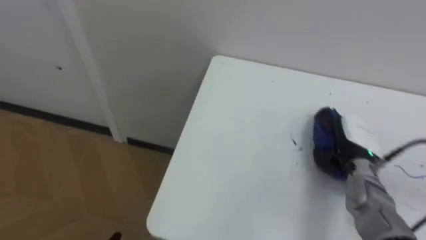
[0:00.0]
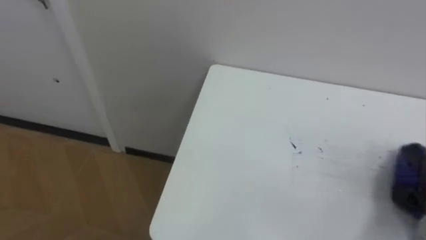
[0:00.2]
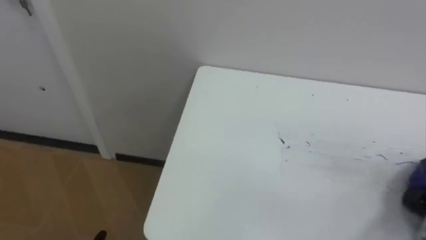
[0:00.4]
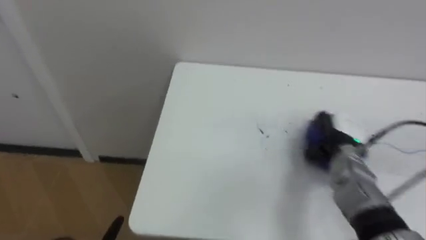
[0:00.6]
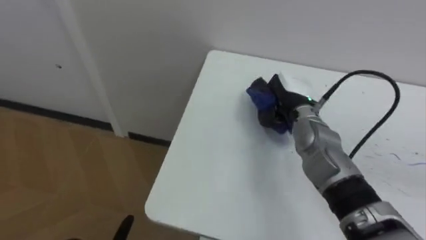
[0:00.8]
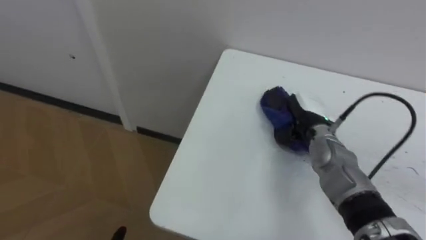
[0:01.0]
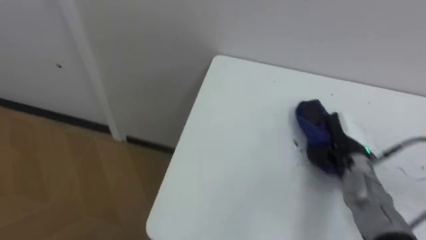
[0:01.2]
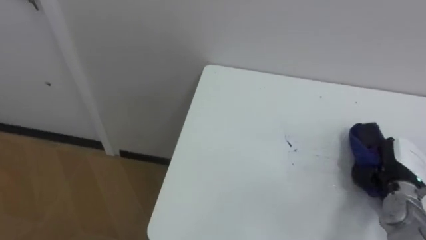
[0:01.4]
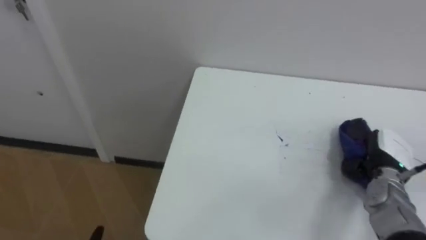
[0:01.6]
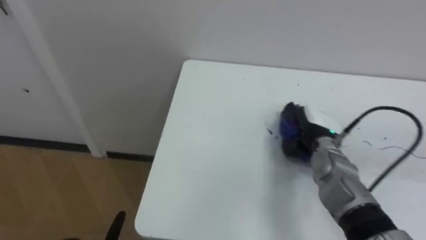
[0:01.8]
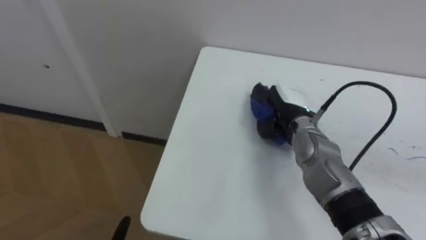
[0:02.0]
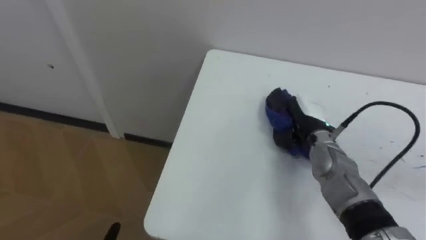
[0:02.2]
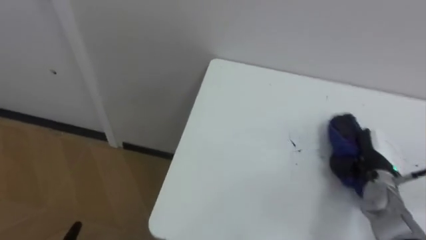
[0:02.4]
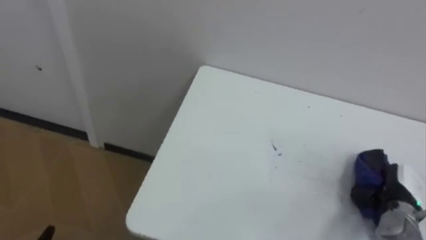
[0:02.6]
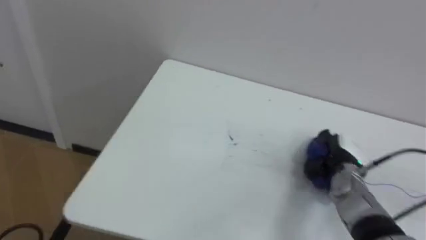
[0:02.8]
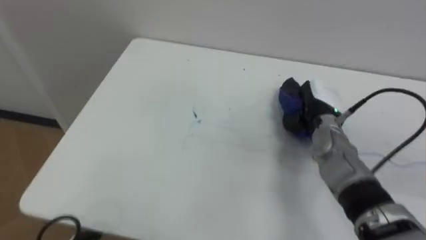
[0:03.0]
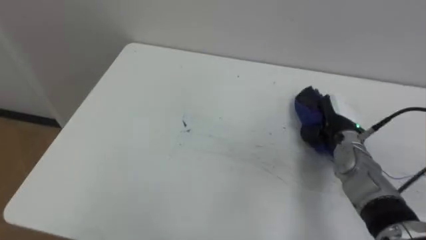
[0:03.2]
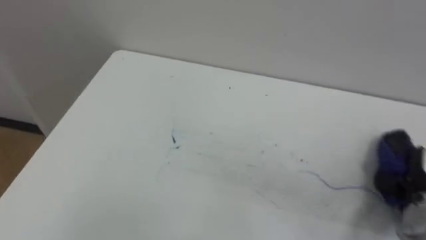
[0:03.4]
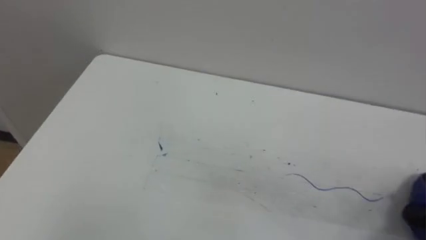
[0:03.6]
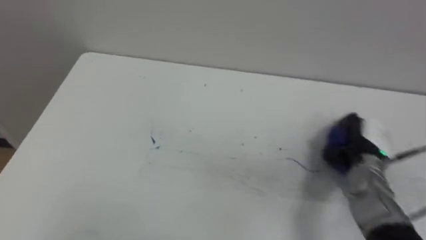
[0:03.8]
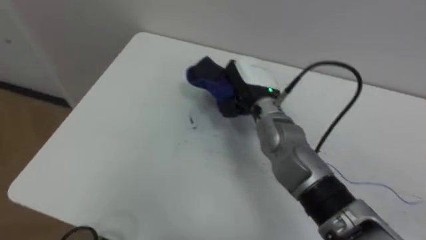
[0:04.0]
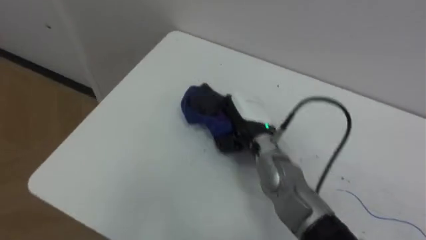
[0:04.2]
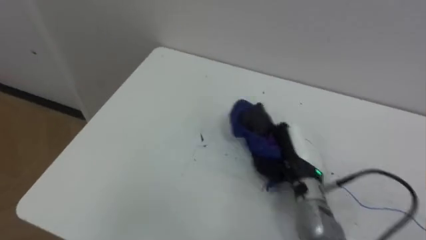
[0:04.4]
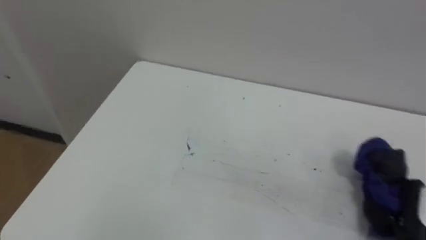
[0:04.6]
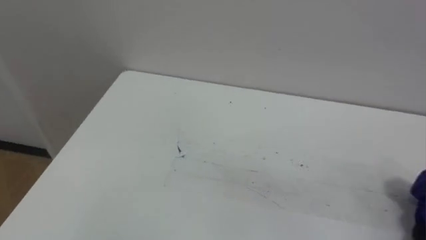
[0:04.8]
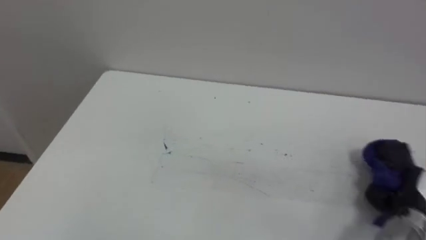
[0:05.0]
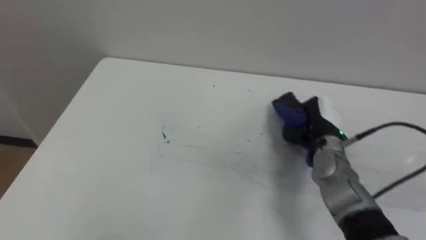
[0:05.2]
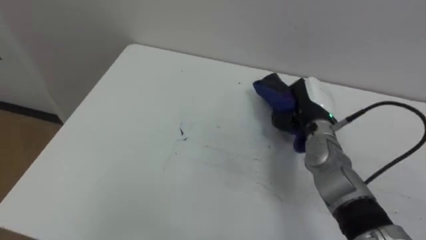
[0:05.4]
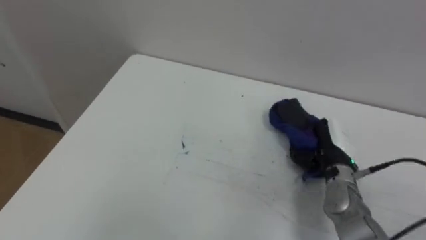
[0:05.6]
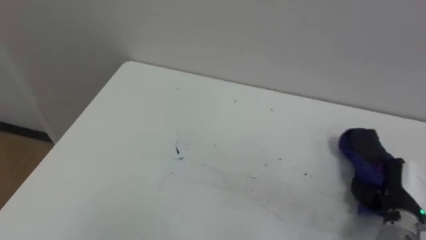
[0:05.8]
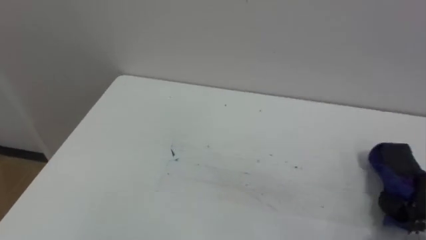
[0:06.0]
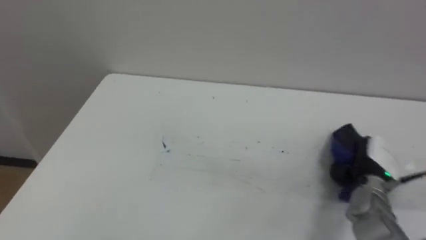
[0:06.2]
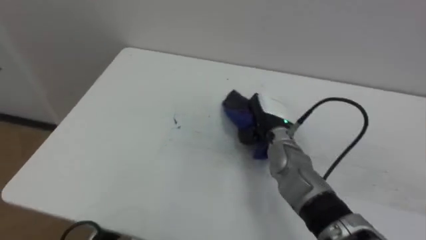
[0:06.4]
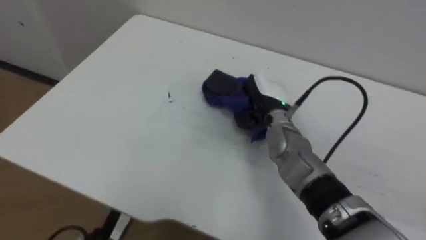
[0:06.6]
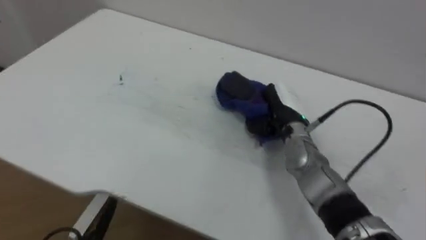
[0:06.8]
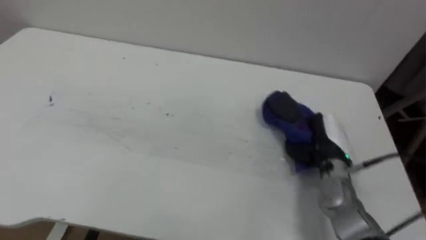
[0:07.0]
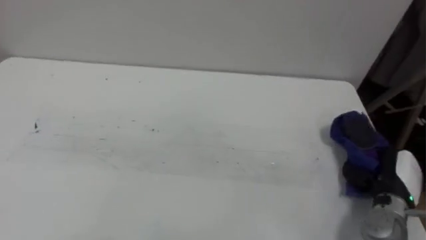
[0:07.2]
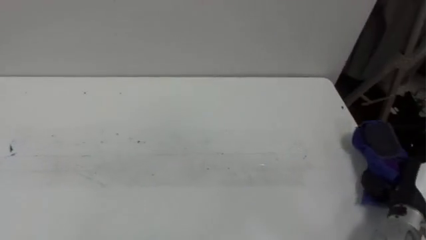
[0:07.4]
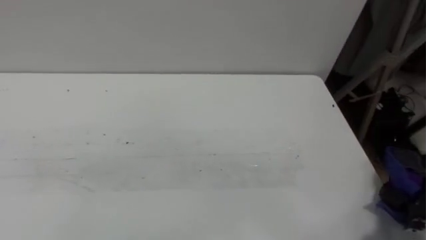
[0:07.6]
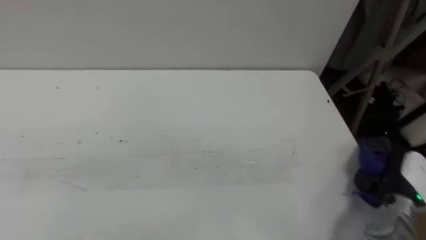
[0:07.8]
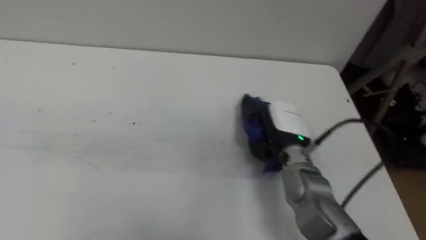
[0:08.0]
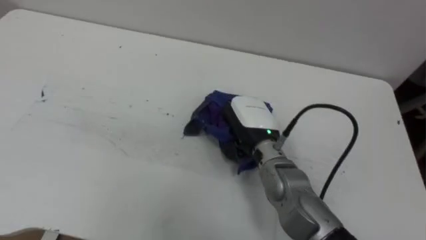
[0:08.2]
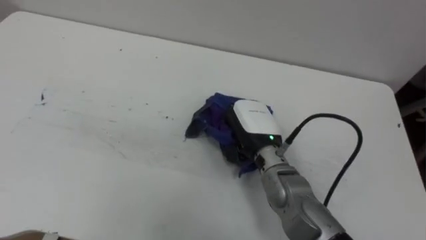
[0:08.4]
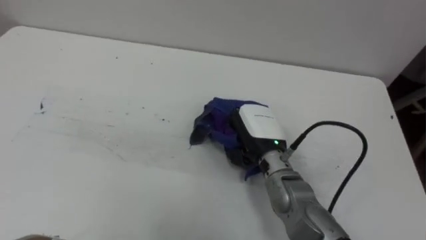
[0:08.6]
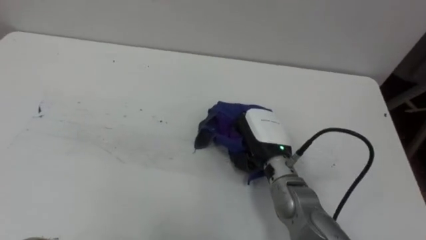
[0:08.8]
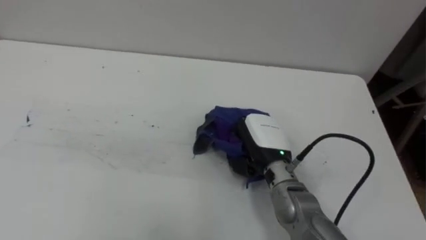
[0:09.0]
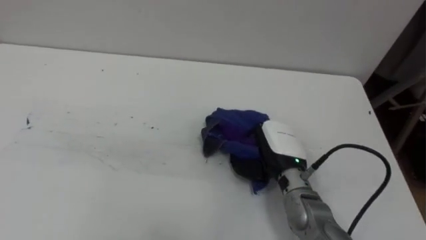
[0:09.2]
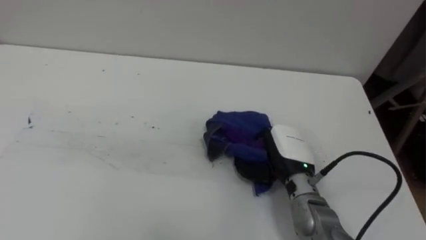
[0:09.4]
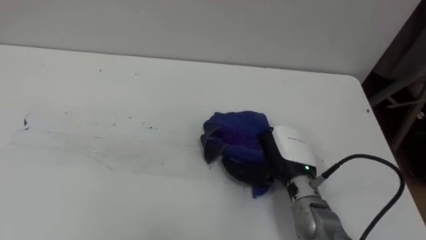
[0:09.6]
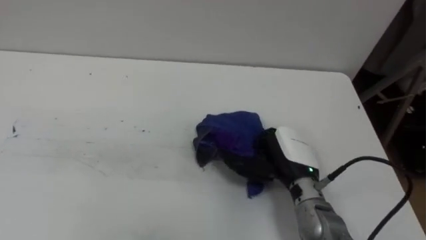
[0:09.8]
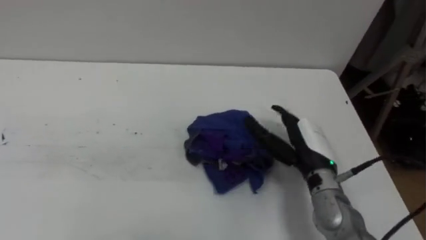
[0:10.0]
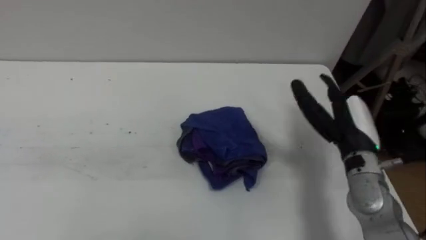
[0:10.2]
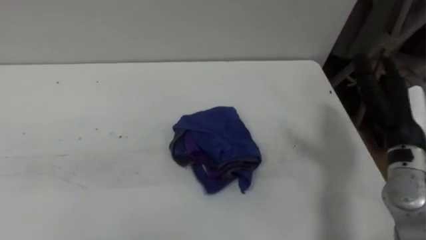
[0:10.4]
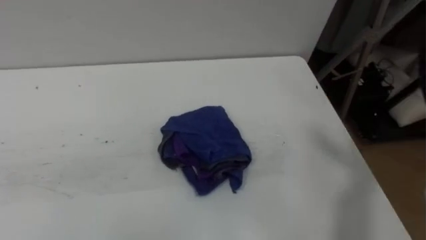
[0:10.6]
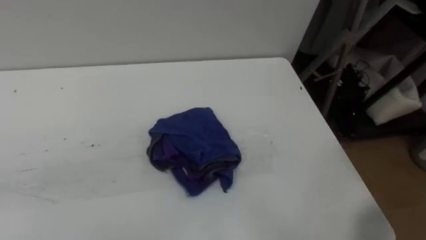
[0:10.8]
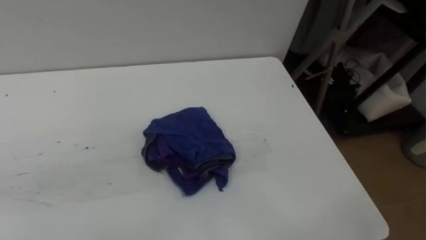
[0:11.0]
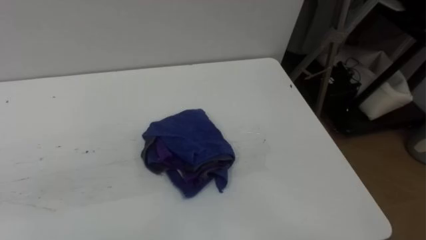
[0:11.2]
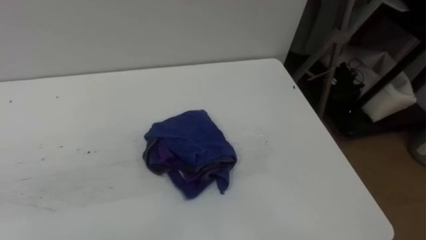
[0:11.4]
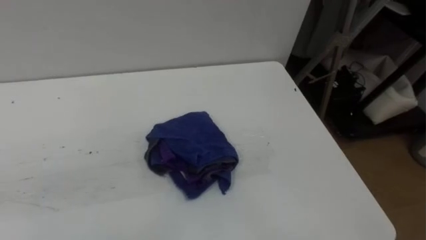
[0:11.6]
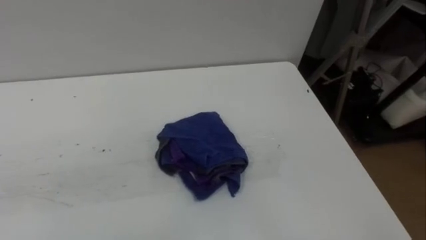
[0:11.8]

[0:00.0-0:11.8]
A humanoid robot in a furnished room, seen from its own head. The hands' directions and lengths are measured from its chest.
Task of the whole recording: Wipe the blue pen marks off the table with the rag.
0:01.4 to 0:03.0: The right hand moves left and right over about 20 cm, changing direction 2 times.
0:06.0 to 0:07.4: The right hand goes to the left and returns, roughly 30 cm each way.
0:07.4 to 0:08.8: The right hand shifts about 25 cm to the left.
0:08.8 to 0:10.4: The right hand travels to the right by approximately 20 cm, and opens up.

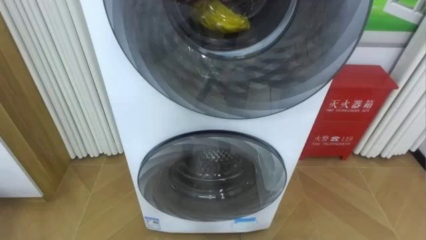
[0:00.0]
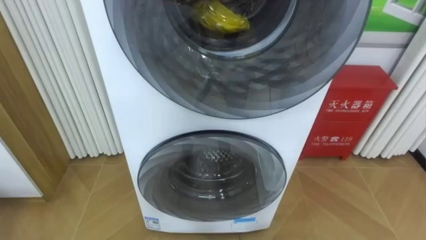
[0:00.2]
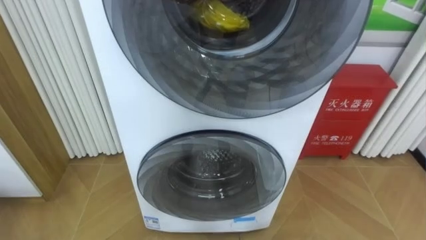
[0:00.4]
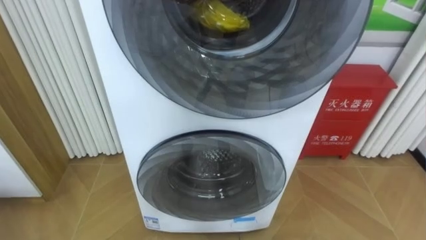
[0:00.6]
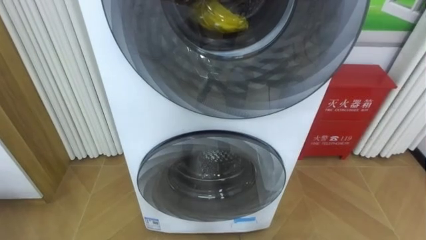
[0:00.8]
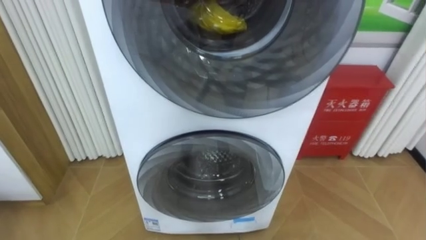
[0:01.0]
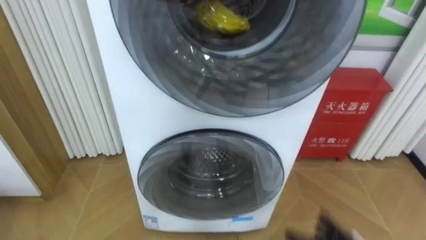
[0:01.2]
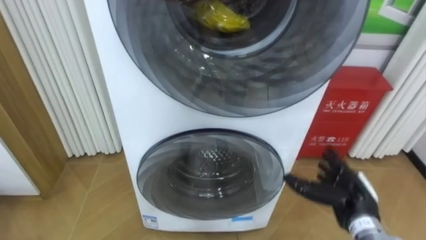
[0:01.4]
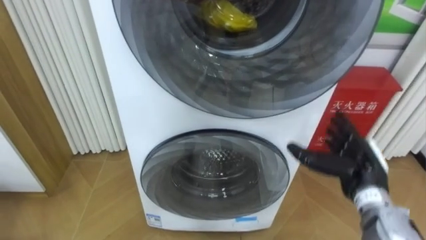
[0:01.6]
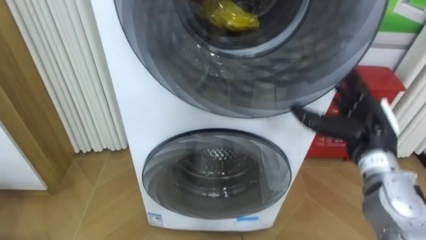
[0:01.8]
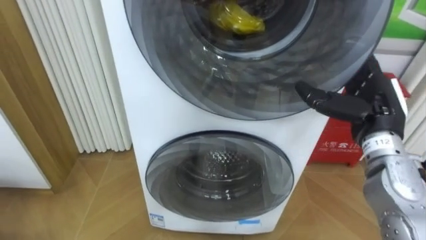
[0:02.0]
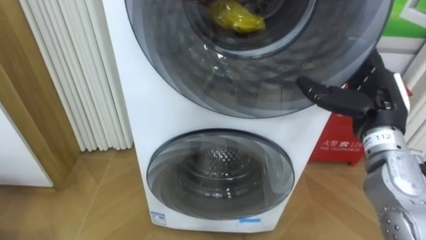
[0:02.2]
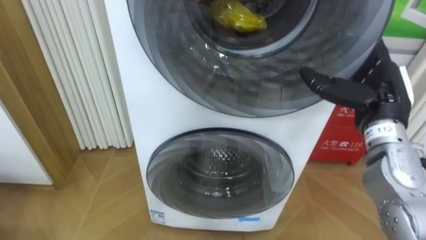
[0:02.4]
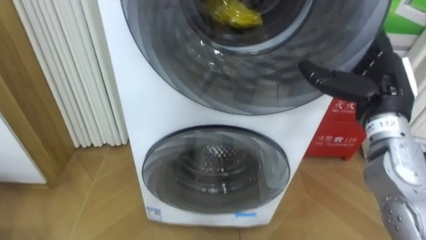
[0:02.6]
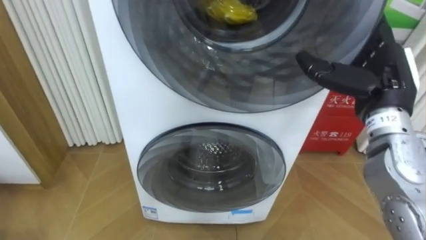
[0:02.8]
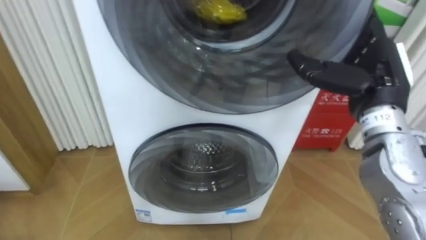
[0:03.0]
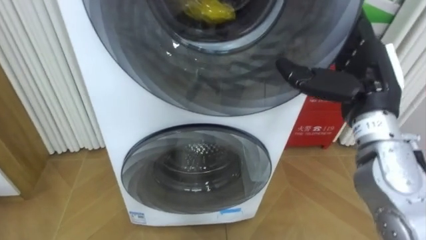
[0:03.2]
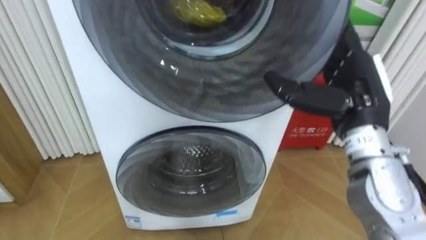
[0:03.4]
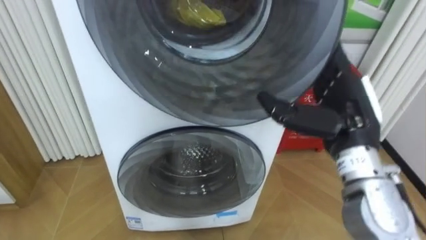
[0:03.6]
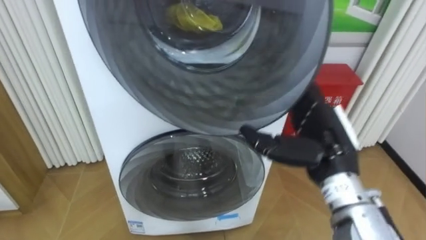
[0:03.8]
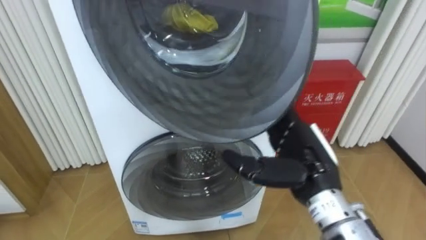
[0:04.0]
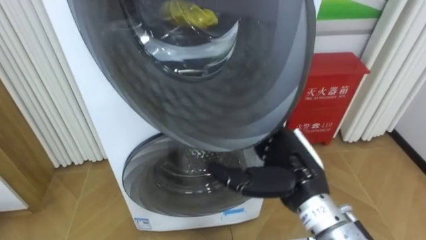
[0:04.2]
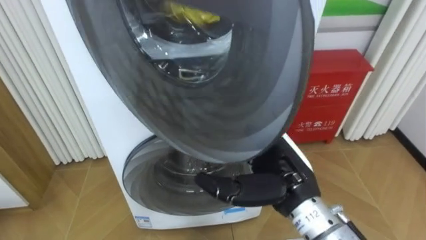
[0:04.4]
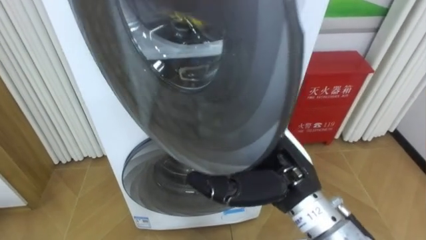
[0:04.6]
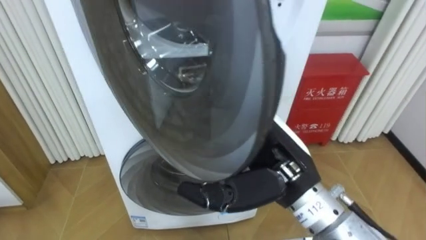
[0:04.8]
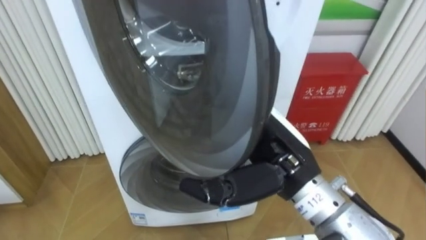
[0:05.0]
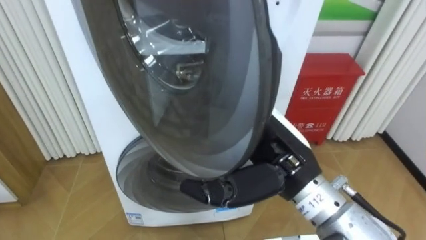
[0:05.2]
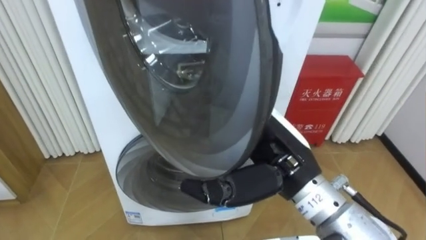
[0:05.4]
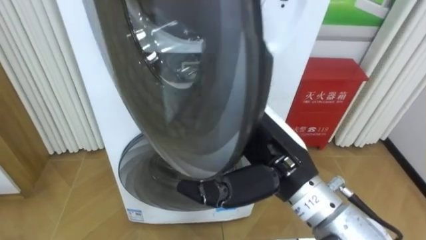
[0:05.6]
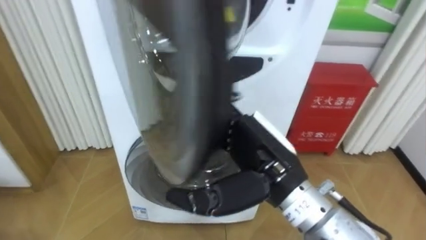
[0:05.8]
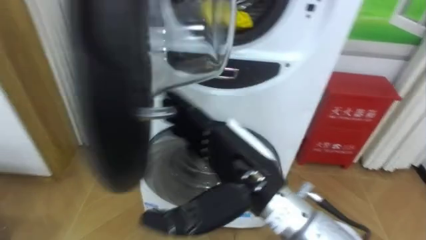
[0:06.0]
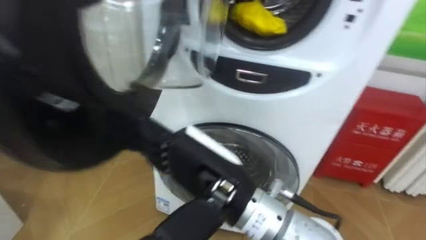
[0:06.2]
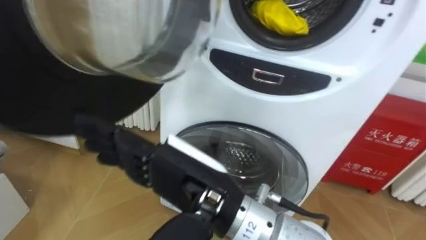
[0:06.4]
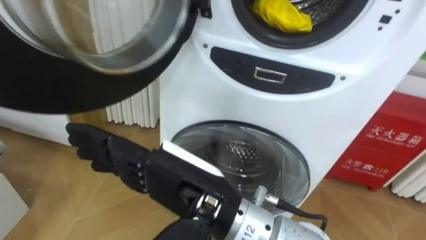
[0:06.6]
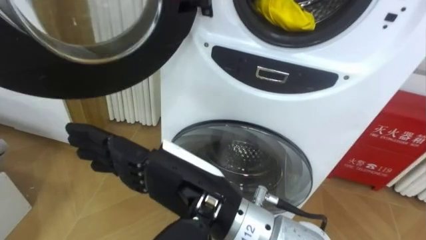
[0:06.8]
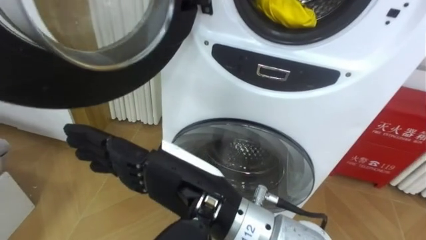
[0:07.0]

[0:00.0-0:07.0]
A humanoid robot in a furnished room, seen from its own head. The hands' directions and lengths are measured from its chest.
Task of the whole recording: Open the washing machine door, take out the yellow clothes, place them in the box on the right, and close the washing machine door.
0:01.4 to 0:02.8: The right hand shifts some 20 cm upward.
0:02.8 to 0:04.2: The right hand shifts roughly 15 cm to the left, downward and backward.
0:04.2 to 0:05.6: The right hand is displaced upward by about 5 cm.
0:05.6 to 0:07.0: The right hand goes some 10 cm to the left and backward.
